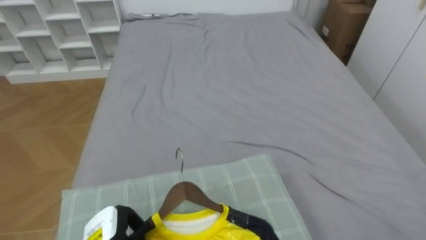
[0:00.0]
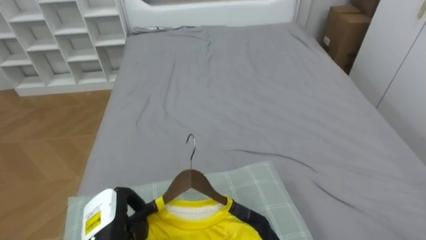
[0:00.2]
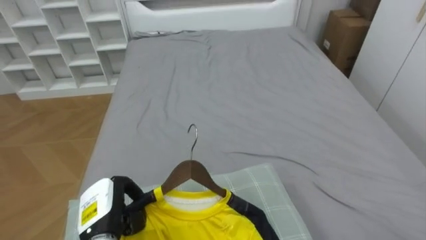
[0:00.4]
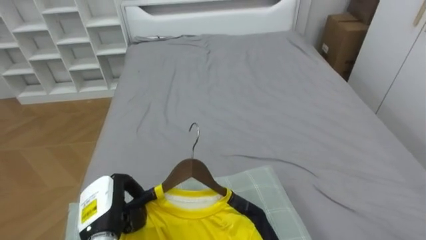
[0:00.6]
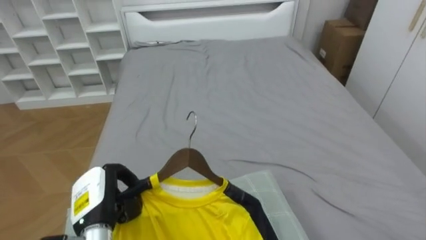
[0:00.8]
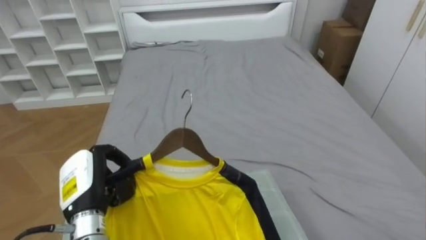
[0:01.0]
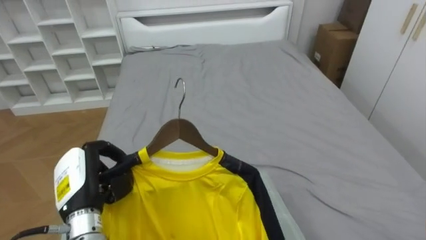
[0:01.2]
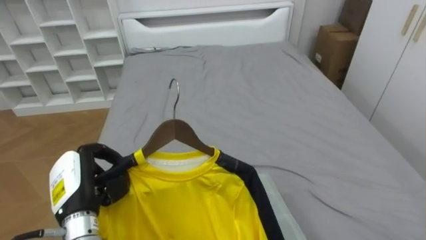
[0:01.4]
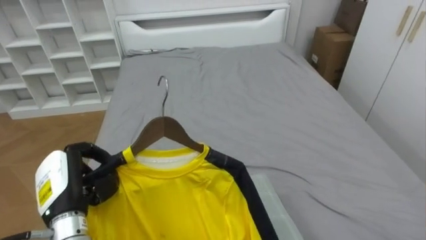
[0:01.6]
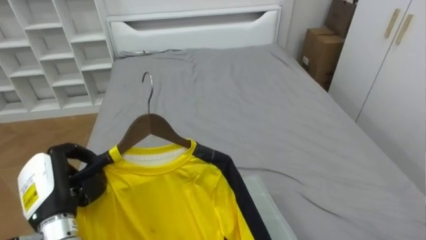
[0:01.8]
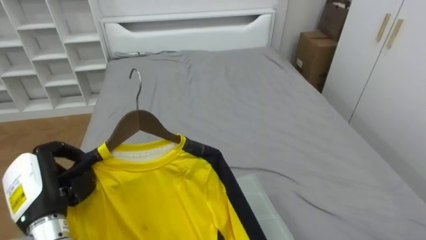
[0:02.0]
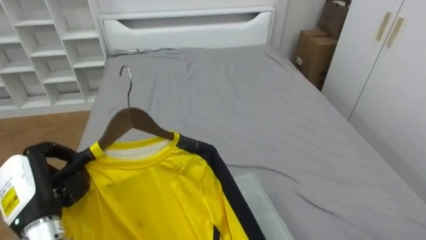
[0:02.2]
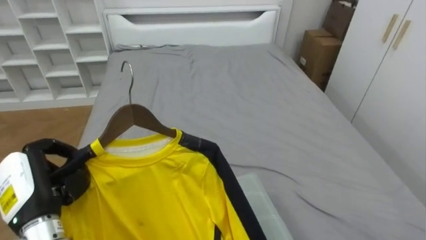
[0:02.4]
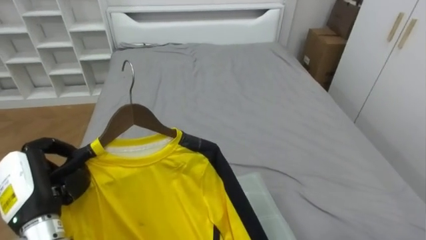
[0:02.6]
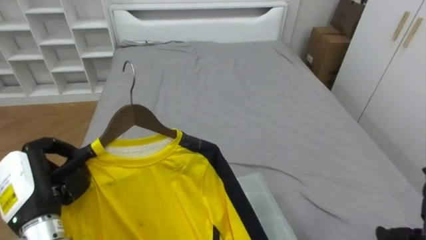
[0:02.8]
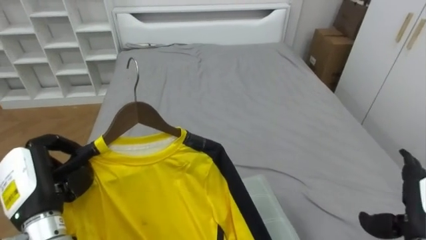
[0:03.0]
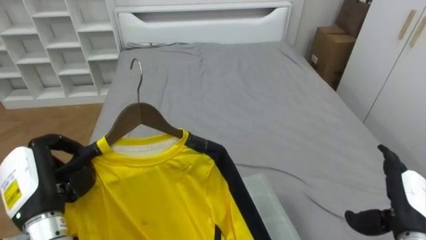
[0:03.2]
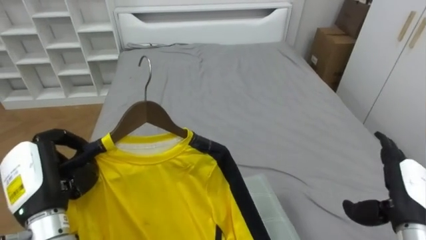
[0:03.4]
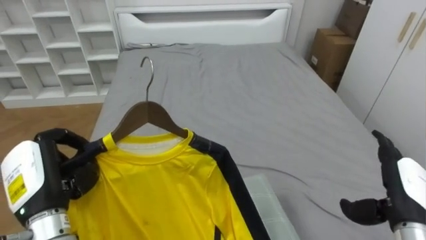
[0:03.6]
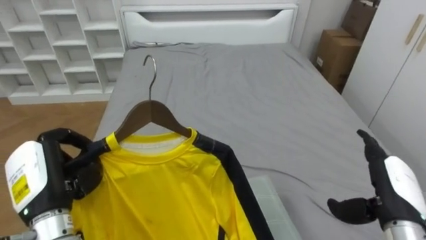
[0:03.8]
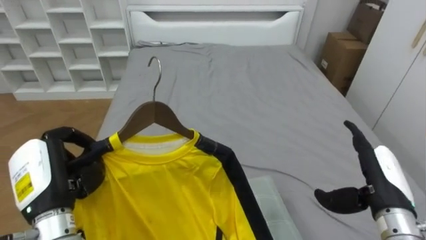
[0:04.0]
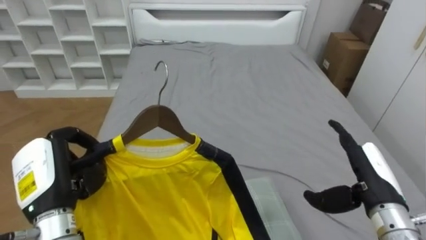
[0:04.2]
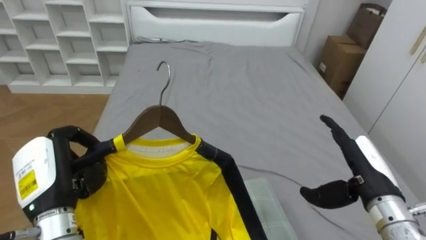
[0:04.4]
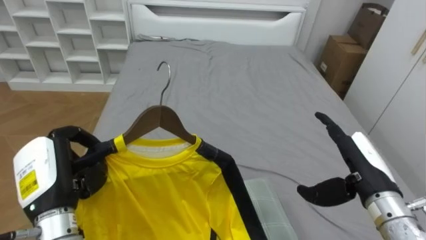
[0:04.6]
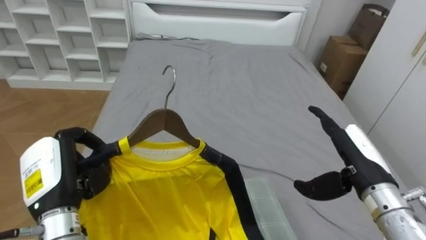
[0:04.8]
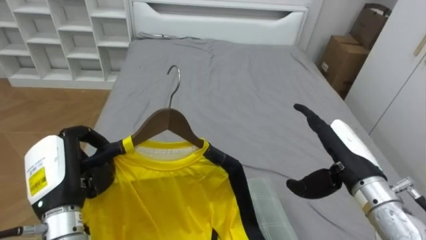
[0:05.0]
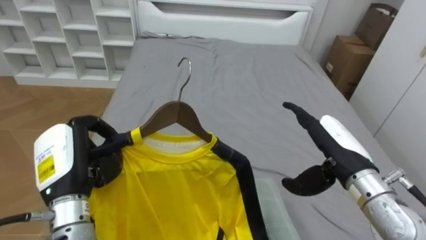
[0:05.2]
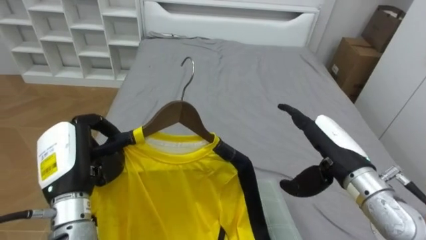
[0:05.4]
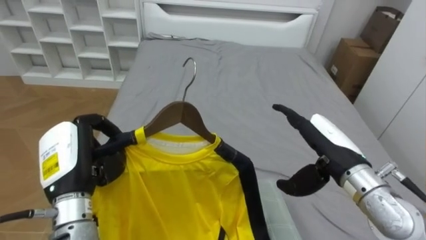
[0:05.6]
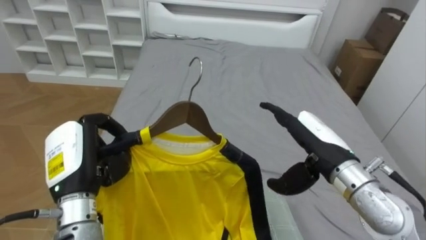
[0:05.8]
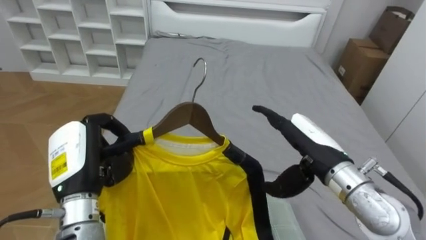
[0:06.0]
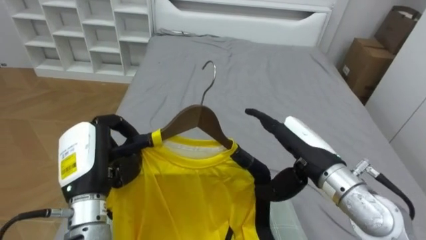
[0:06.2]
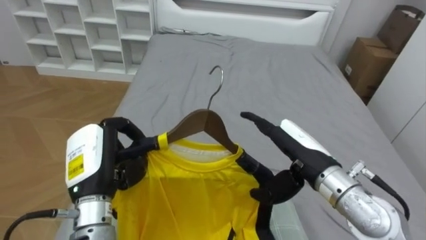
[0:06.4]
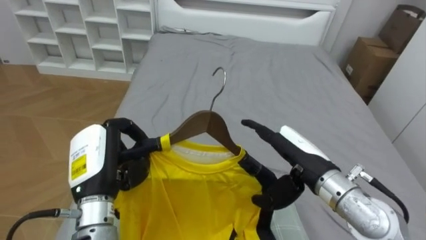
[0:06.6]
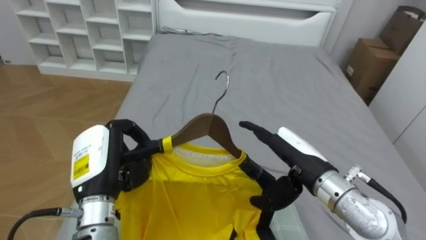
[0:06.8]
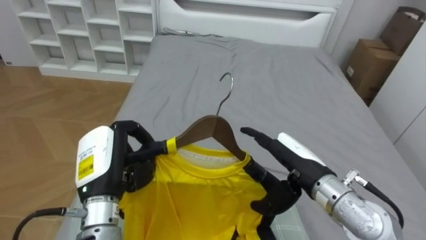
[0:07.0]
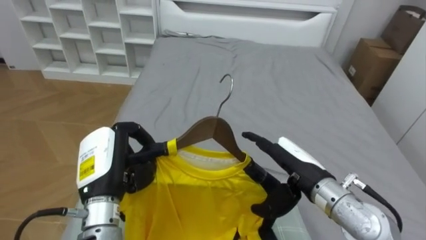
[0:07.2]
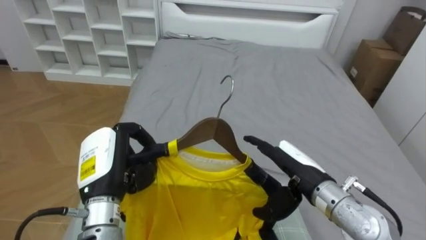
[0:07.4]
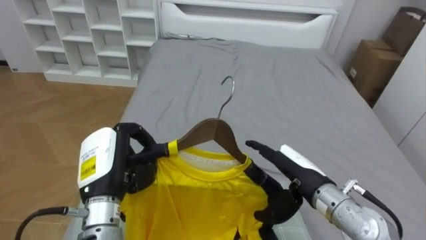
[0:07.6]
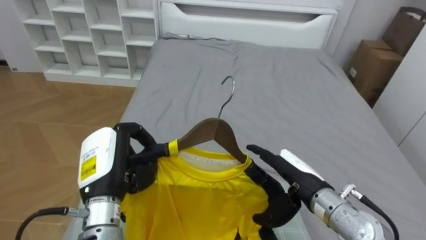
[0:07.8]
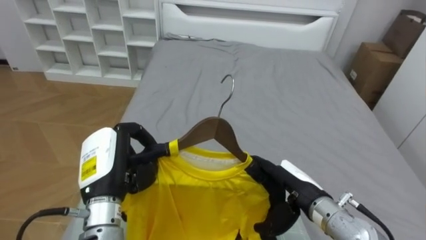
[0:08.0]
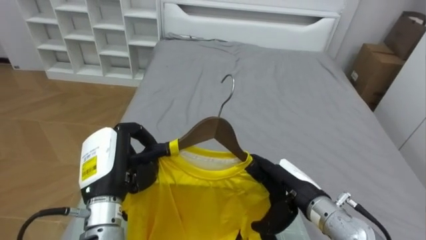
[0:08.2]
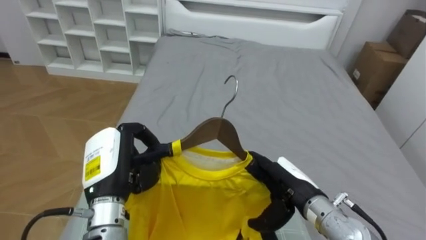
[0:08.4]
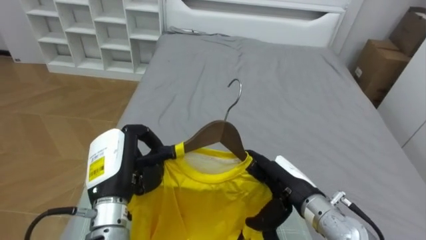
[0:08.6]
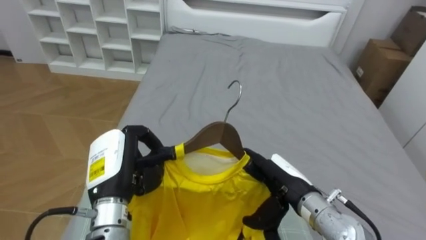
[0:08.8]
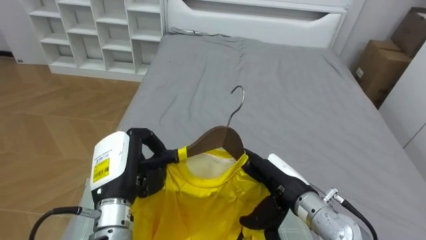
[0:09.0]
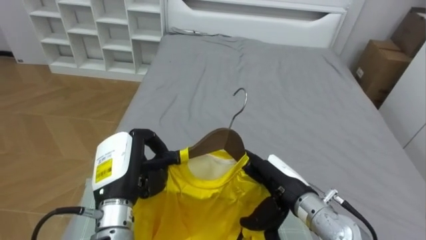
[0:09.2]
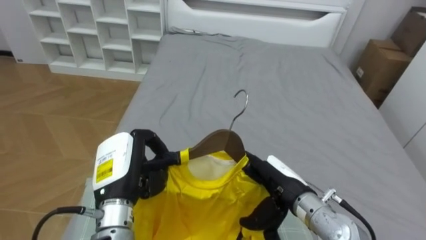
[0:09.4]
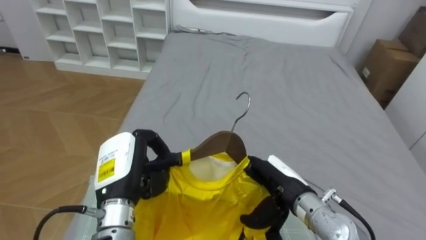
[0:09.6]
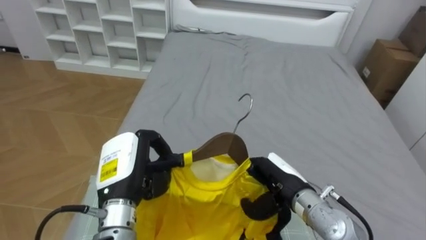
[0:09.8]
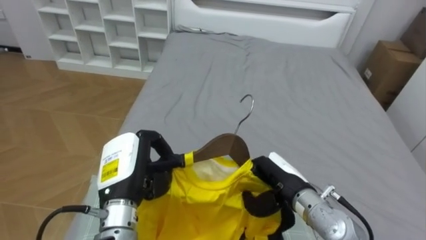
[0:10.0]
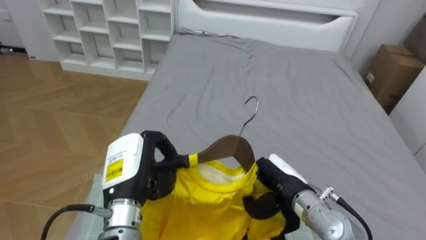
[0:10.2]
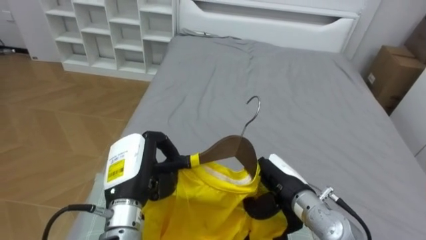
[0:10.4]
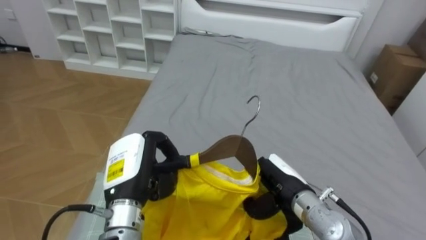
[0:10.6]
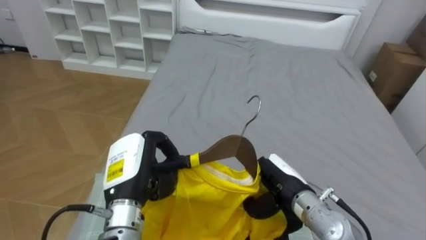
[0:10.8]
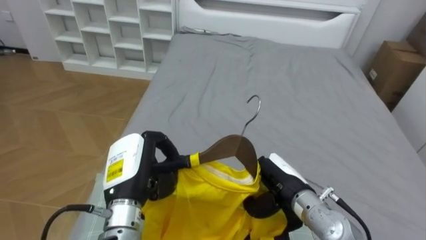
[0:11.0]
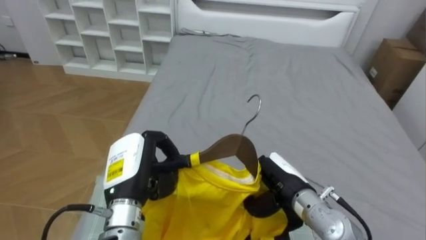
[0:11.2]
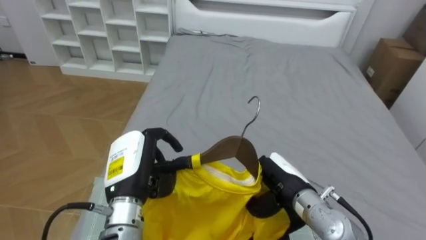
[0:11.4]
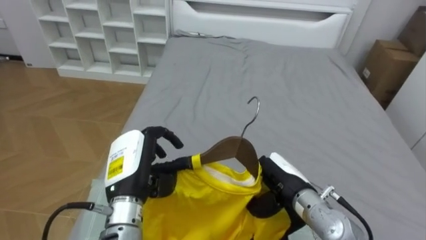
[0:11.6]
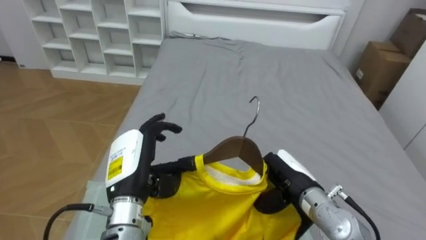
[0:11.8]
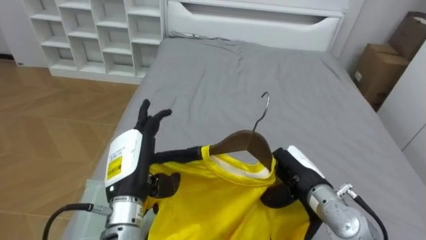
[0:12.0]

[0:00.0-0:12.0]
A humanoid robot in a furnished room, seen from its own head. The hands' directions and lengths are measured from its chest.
Task of the whole recording: Pick up the yellow shirt on the bed and hang it on the clothes rack on the right.
0:03.0 to 0:04.4: The right hand shifts approximately 10 cm to the left and forward.
0:04.4 to 0:06.0: The right hand heads to the left, covering about 10 cm.
0:06.0 to 0:07.6: The right hand heads downward, covering roughly 5 cm.
0:09.0 to 0:10.4: The right hand closes its fingers.
0:10.4 to 0:12.0: The left hand opens its fingers.

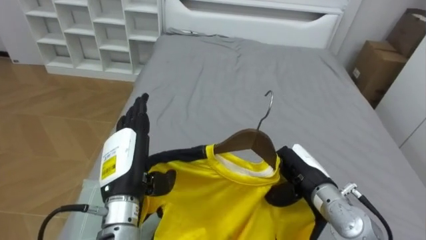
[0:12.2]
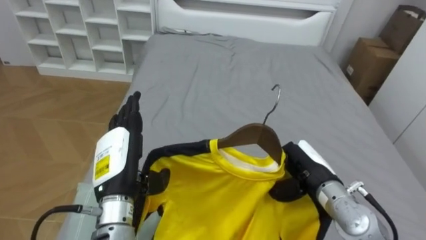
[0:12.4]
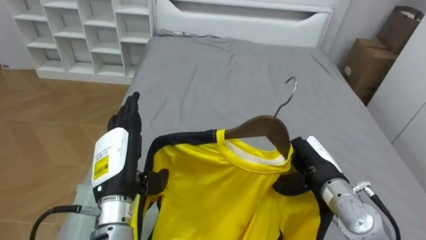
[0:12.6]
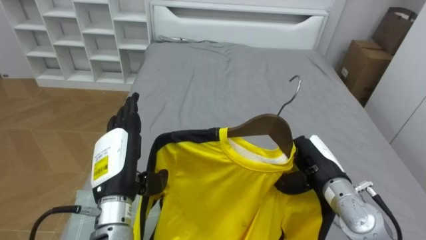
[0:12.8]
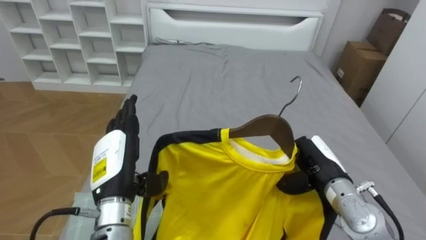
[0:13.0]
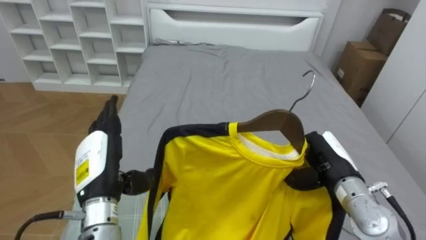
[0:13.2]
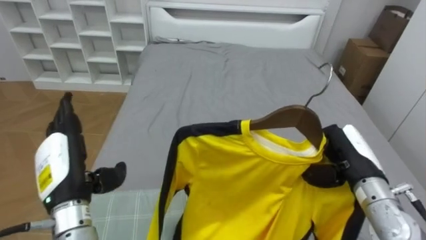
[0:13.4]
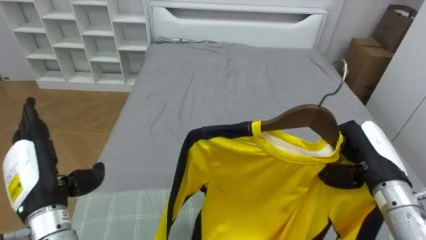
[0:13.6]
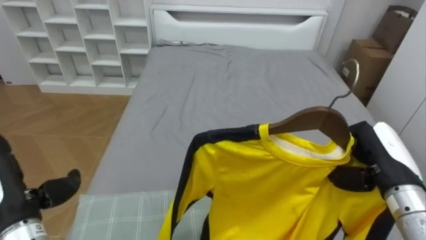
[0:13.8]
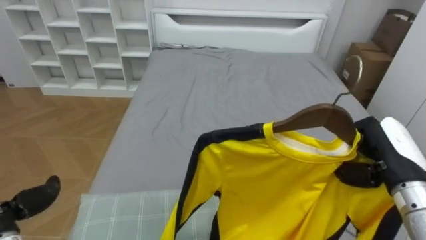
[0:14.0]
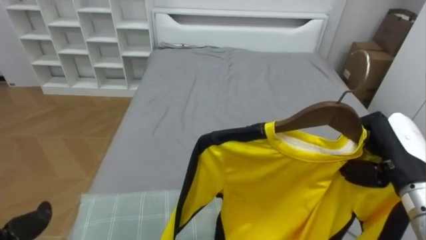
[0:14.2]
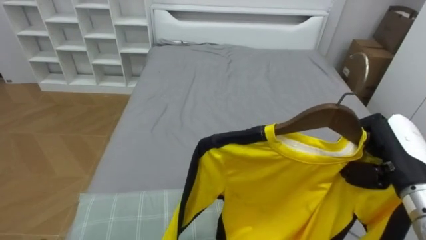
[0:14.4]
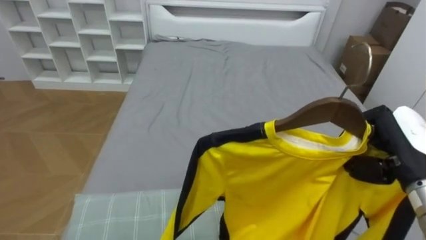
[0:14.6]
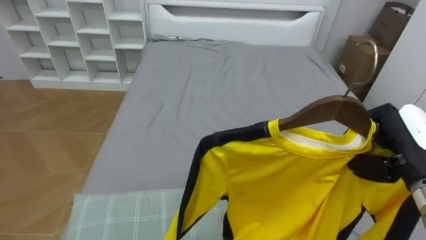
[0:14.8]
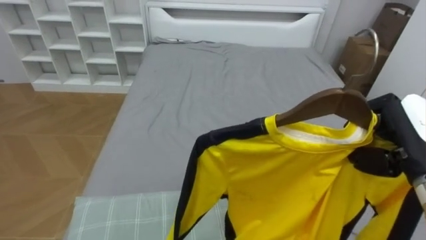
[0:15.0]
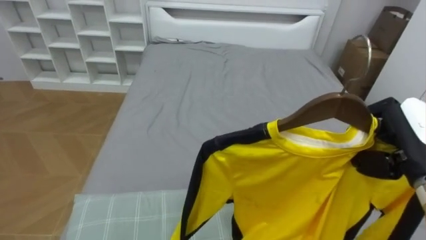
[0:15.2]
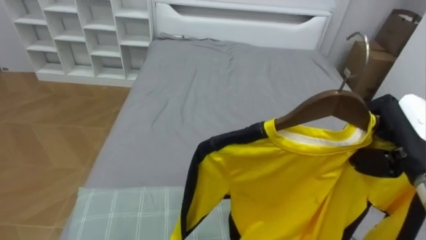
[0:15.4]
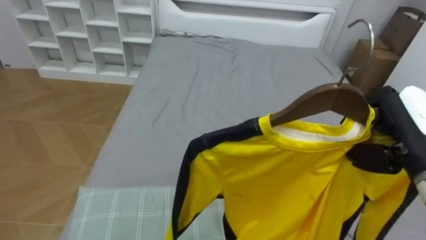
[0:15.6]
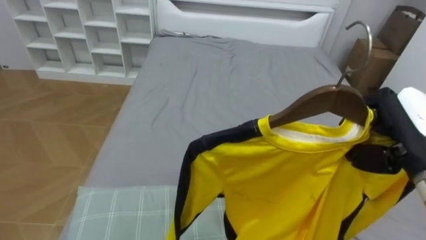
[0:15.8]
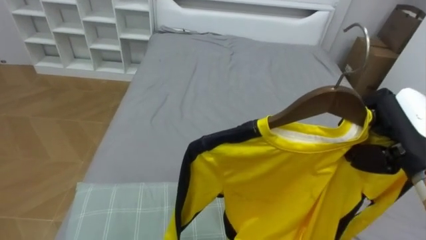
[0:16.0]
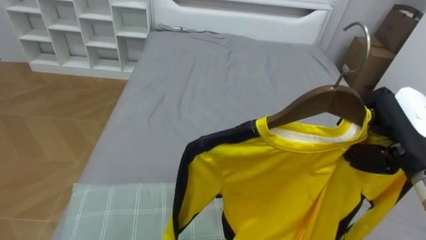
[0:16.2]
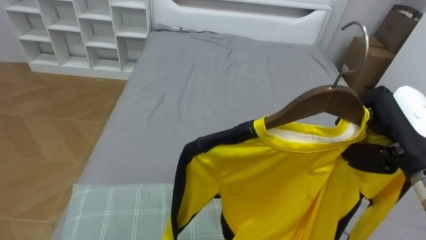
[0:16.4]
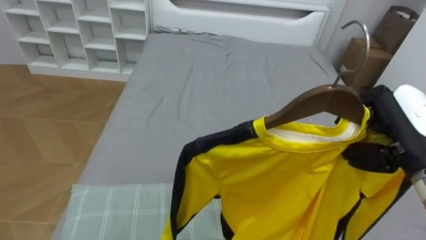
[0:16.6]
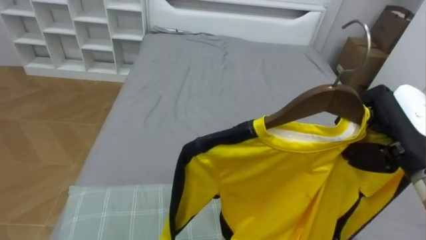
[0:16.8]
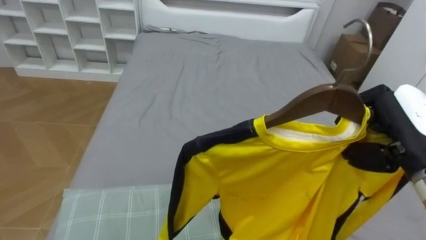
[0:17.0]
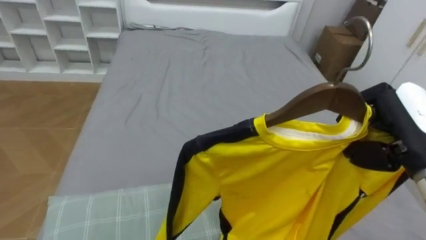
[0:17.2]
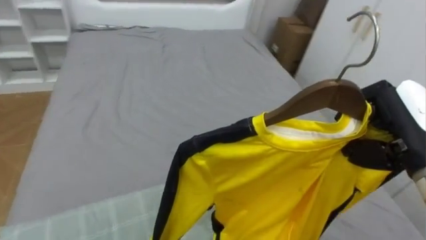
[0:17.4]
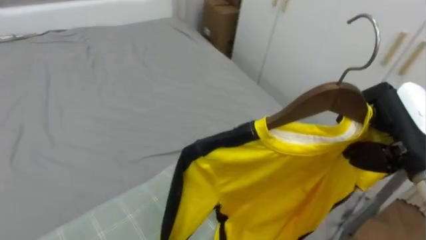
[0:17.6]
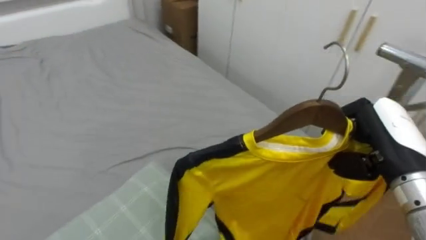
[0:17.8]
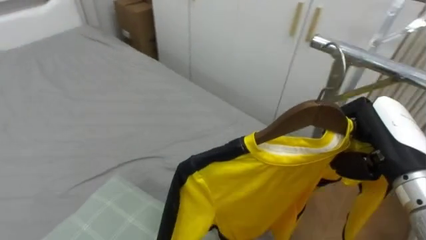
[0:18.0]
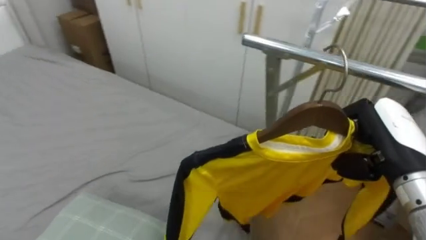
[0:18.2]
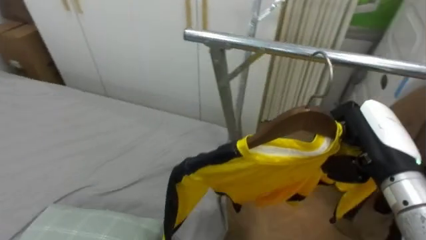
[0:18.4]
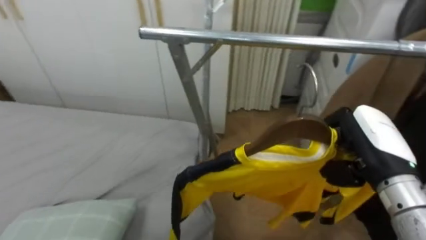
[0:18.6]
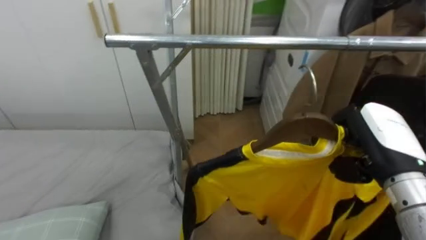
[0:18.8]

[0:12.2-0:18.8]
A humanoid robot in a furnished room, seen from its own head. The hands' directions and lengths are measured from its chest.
Task of the whole recording: Pick up the yellow shirt on the bed and hang it on the clothes rack on the right.
0:12.2 to 0:13.8: The right hand travels to the right and upward by roughly 15 cm, while the left hand moves to the left, some 15 cm.
0:13.8 to 0:15.4: The right hand is displaced upward by roughly 5 cm.
0:17.2 to 0:18.8: The robot faces approximately 80 degrees further to its right.
